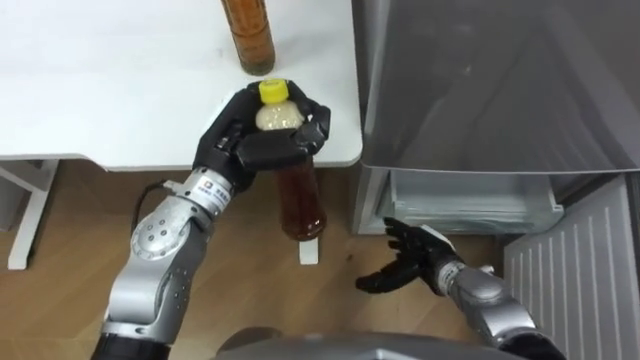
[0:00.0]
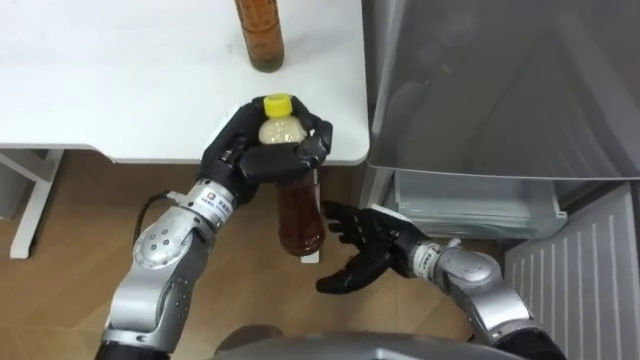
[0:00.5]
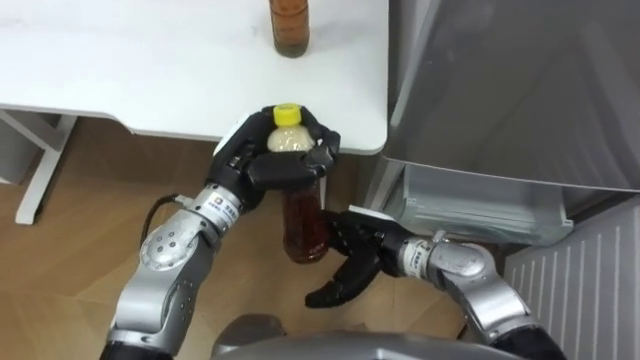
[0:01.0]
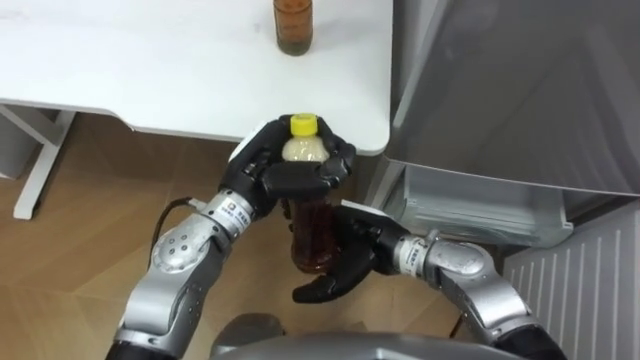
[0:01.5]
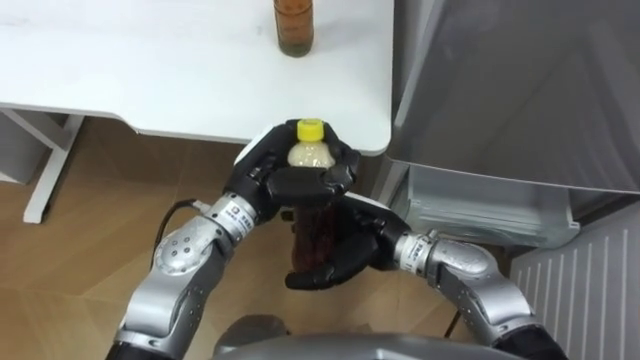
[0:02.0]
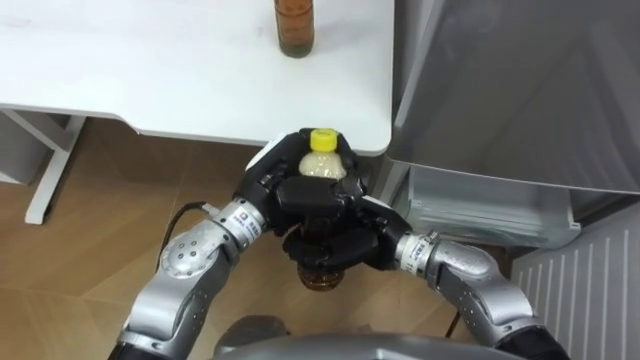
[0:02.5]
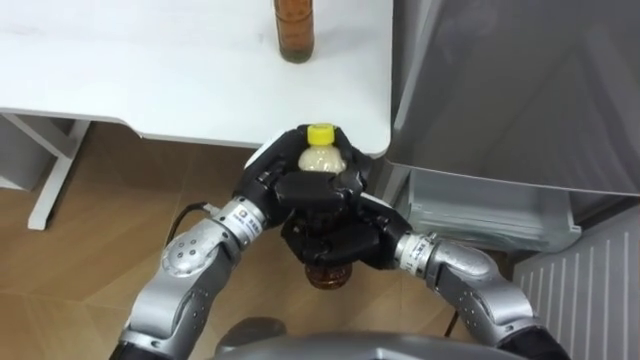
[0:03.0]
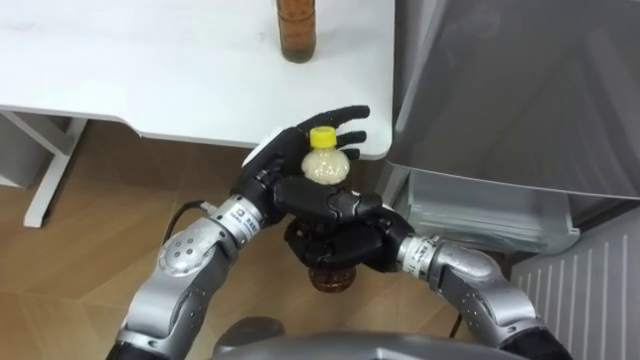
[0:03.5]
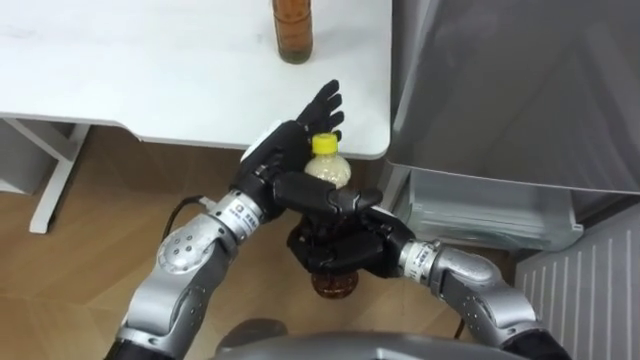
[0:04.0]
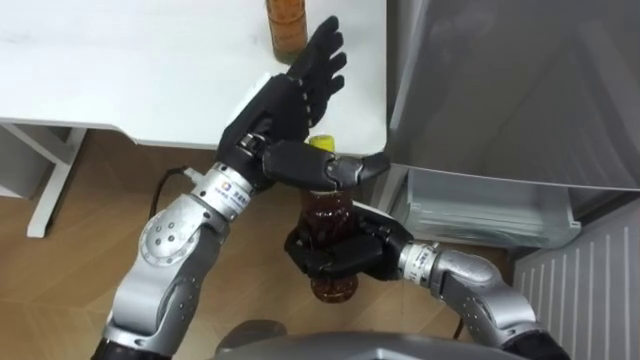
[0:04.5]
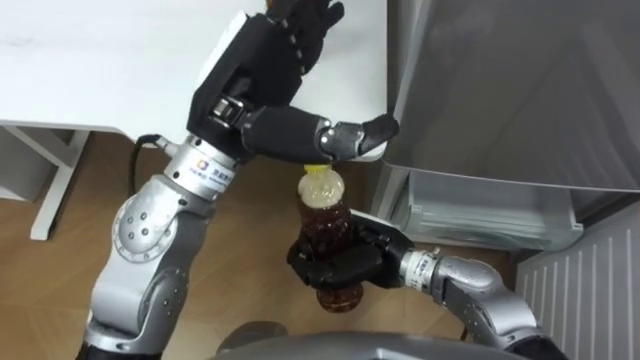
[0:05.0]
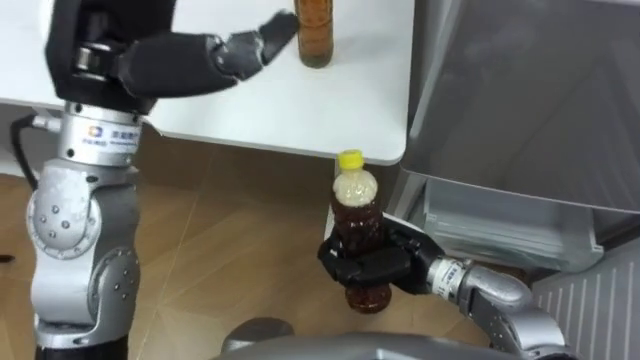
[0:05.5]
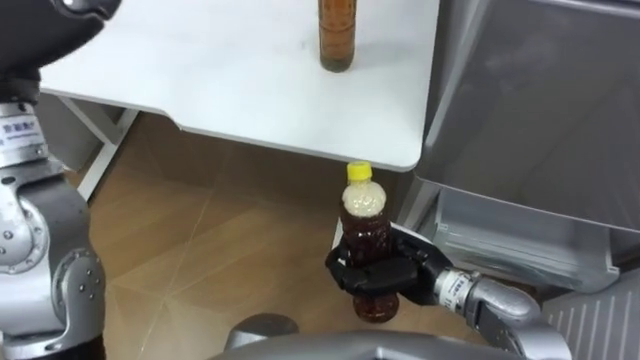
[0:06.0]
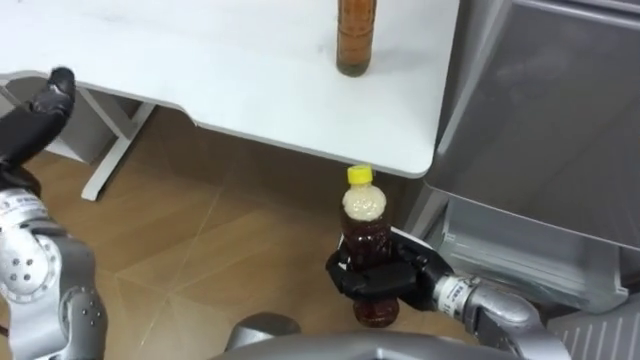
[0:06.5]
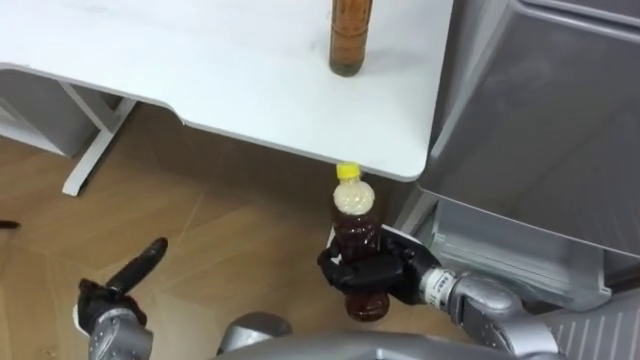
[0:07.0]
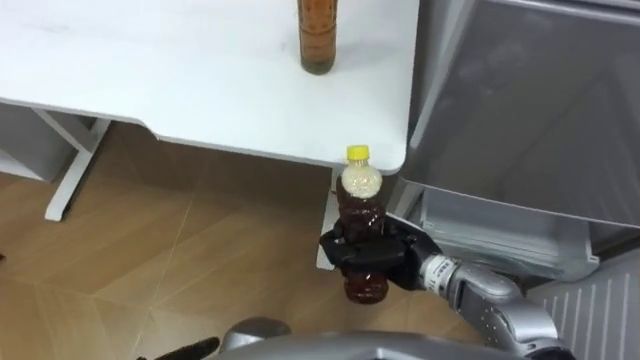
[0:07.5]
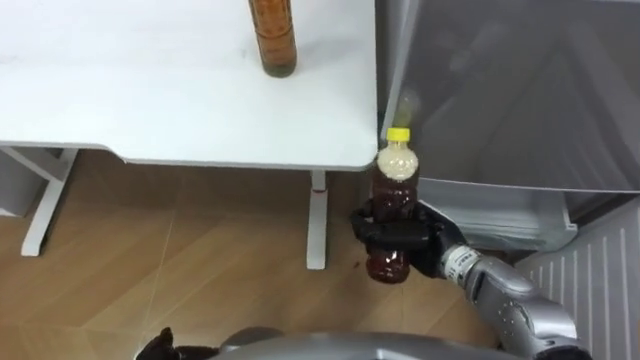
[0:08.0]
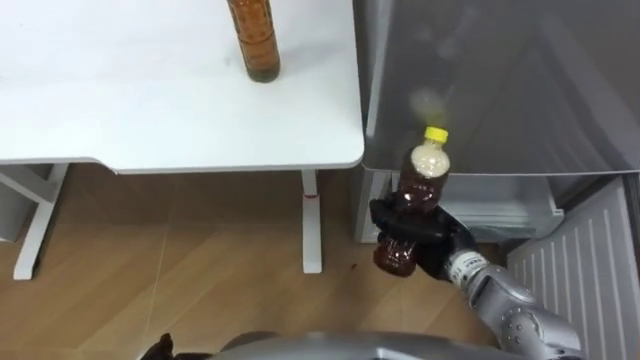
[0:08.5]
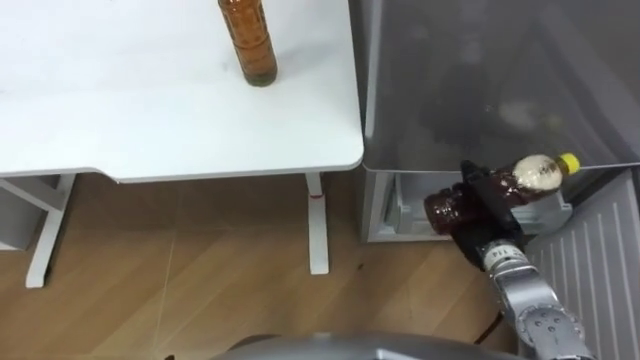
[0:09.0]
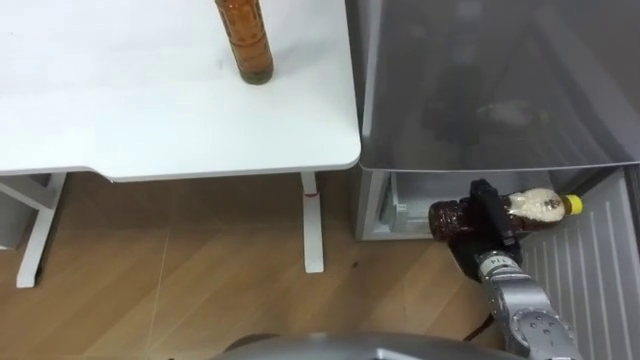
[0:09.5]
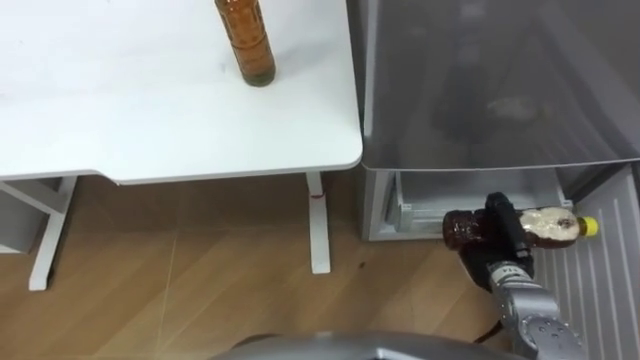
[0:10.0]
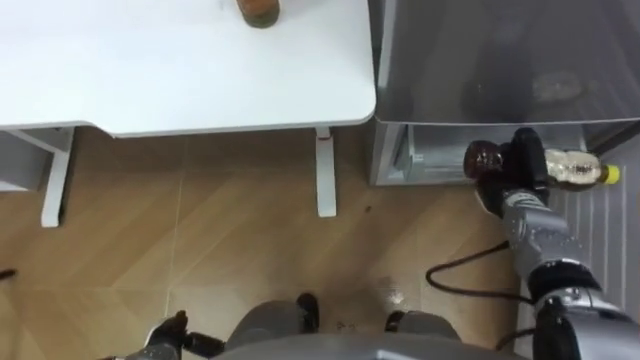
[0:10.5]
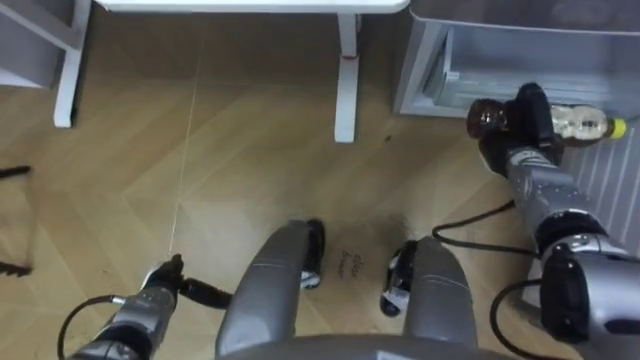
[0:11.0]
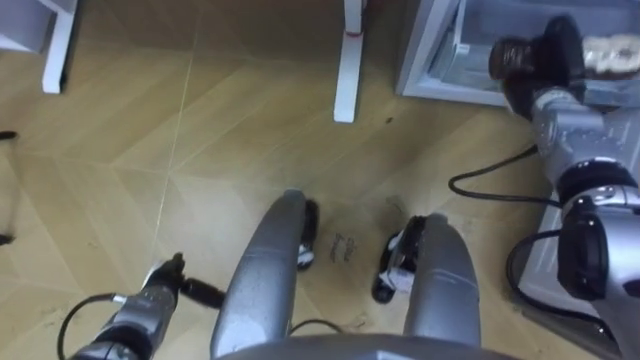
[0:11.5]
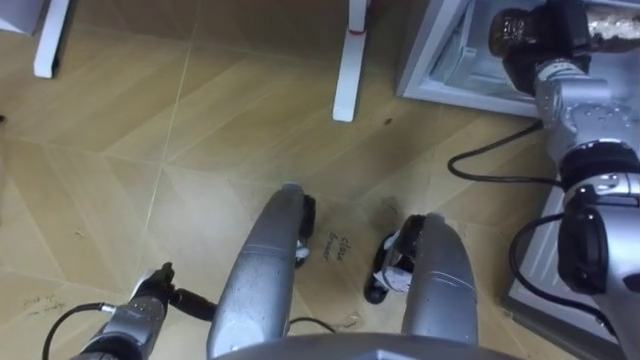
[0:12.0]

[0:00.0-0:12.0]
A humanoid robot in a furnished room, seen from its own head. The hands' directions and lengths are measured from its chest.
Task of the whole recording: Place the drink on the table on the bottom shelf of the refrigerator, then close the drawer and the refrigerator door.
0:00.0 to 0:02.0: The right hand moves to the left and upward, some 15 cm. The left hand shifts by some 5 cm.
0:02.0 to 0:04.0: The left hand opens up, while the right hand closes up.
0:04.0 to 0:06.0: The right hand is displaced to the right by approximately 5 cm.
0:08.0 to 0:10.0: The right hand travels to the right by approximately 10 cm.
0:10.0 to 0:12.0: The right hand is displaced forward and upward by roughly 30 cm.

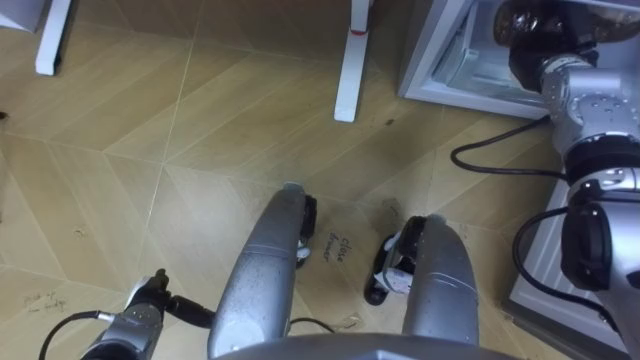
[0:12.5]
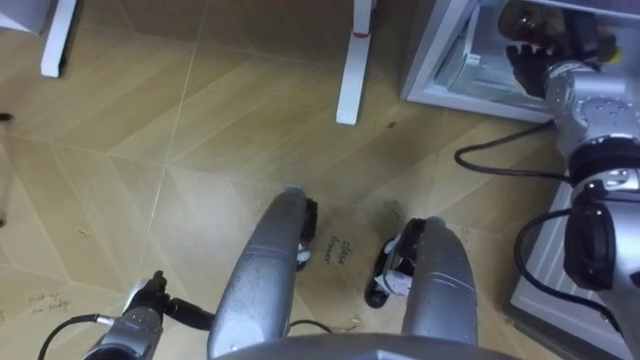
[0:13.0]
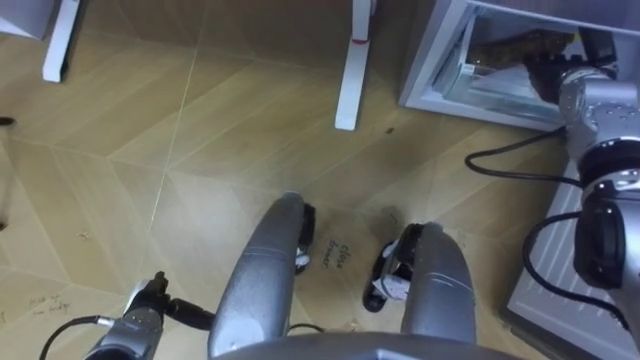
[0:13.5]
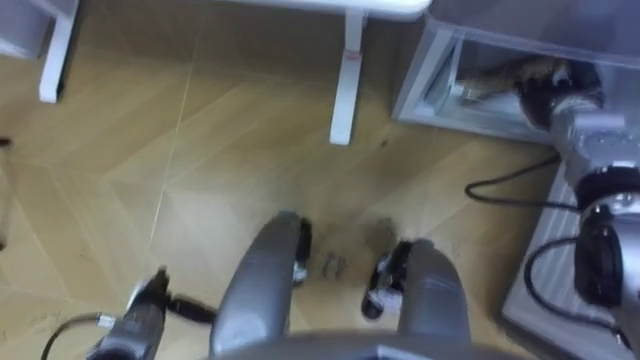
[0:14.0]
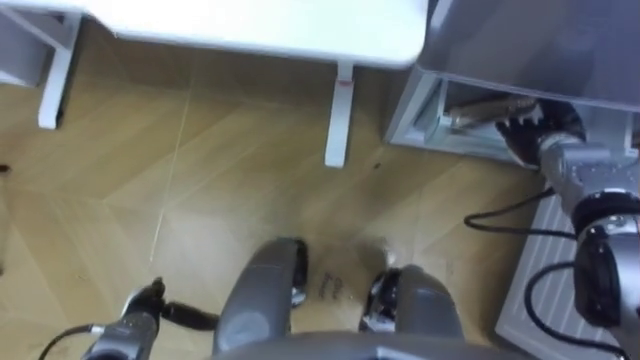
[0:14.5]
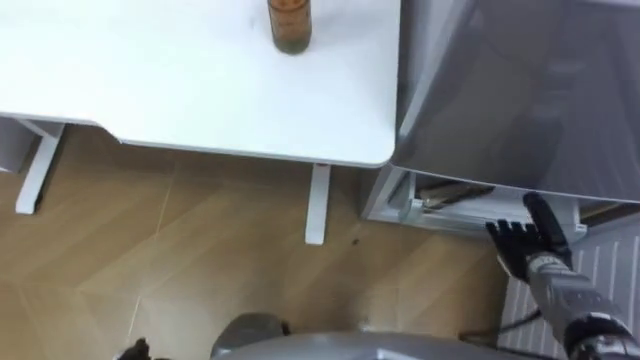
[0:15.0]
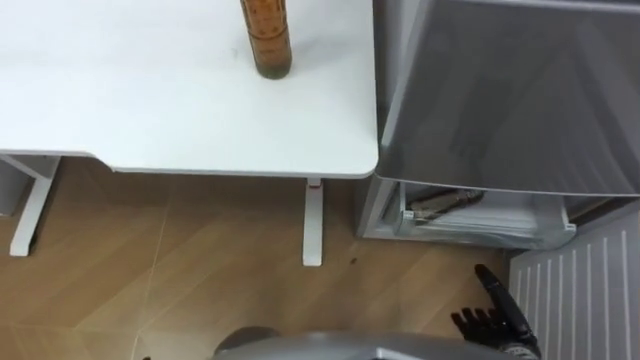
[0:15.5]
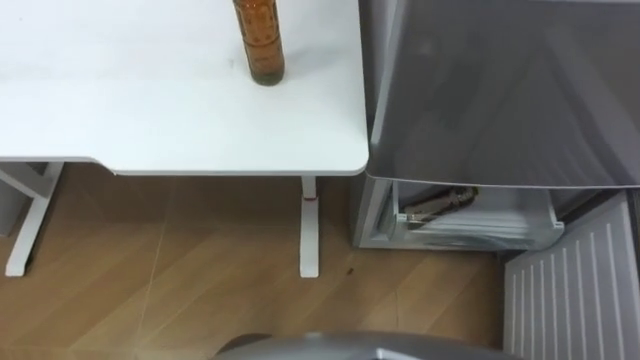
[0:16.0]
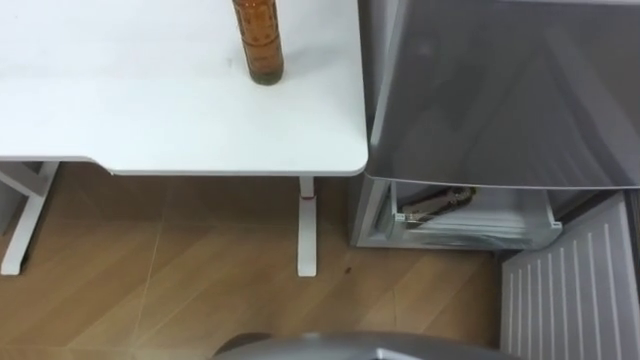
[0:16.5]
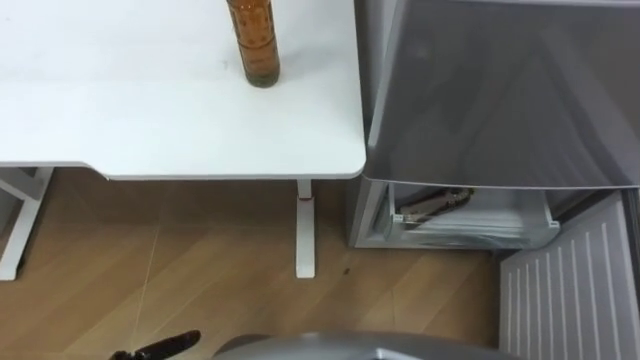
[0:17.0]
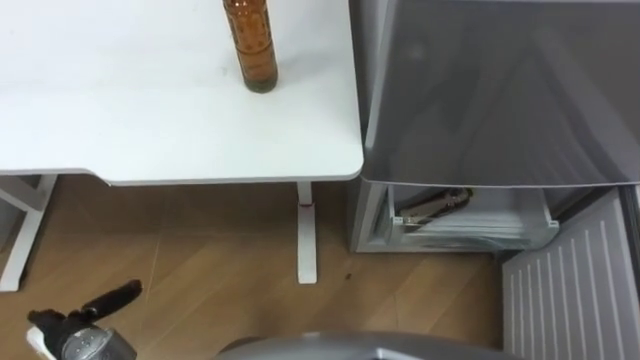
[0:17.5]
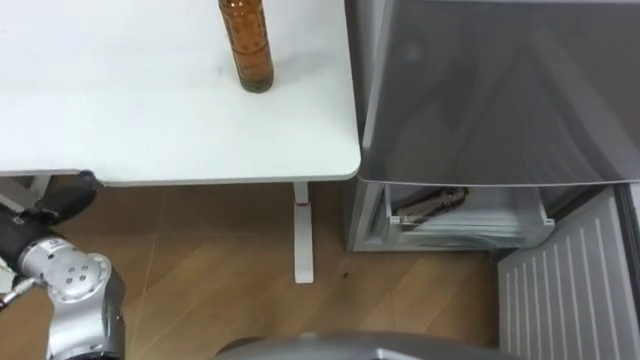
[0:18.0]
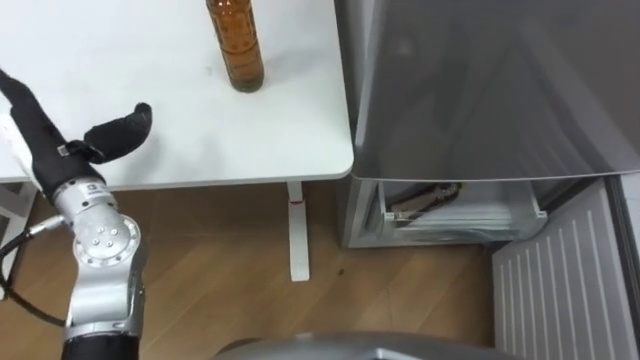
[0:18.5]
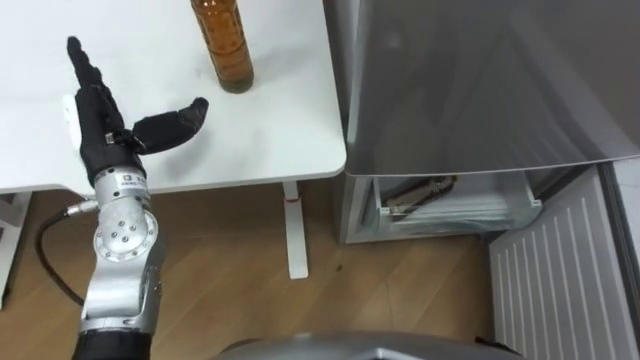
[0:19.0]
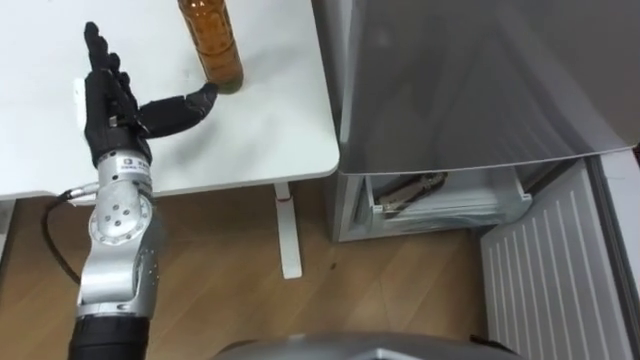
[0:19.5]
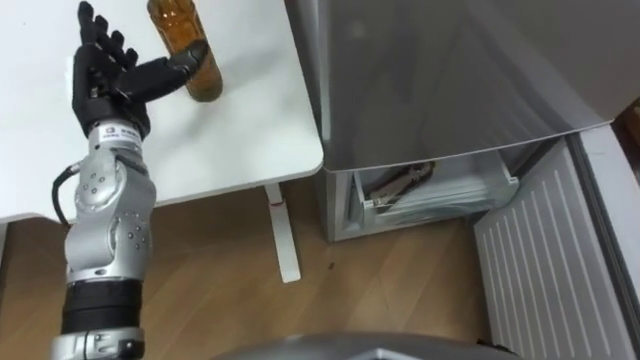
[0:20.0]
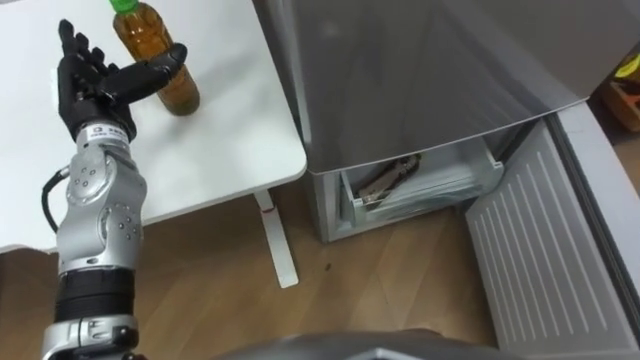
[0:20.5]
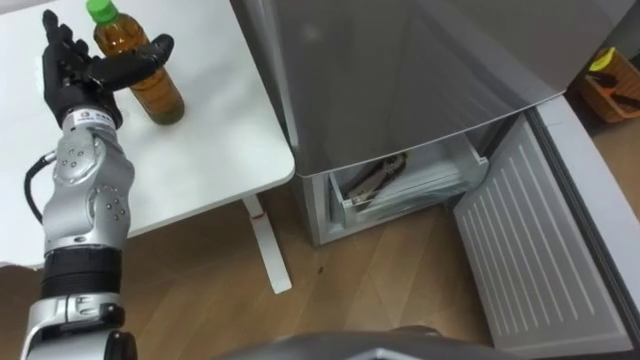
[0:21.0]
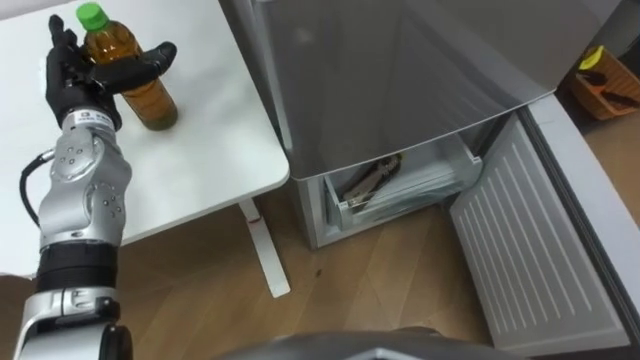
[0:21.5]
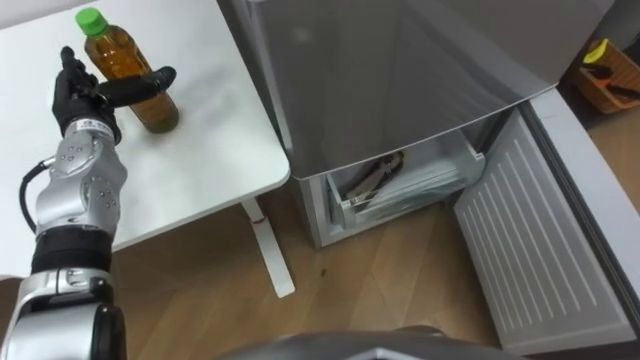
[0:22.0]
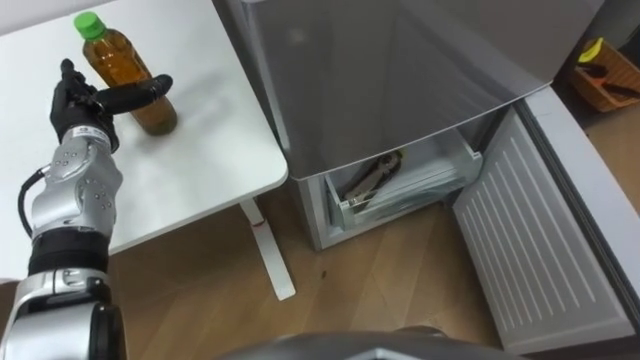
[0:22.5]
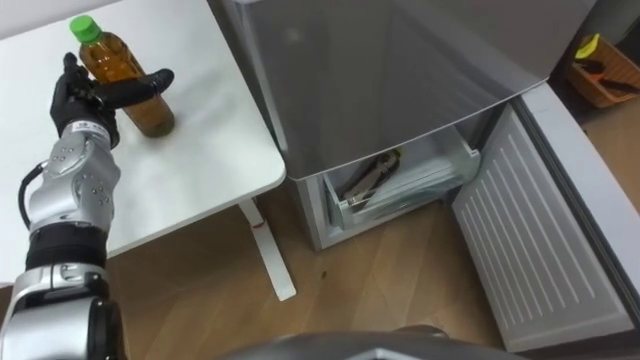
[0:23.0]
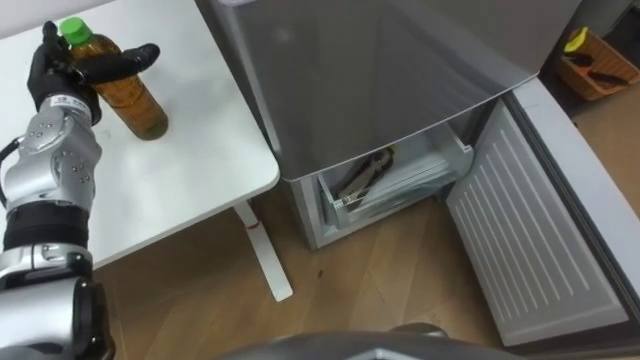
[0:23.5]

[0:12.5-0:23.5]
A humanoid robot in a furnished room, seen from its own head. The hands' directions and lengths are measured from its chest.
Task of the whole recording: Place the drink on the table on the bottom shelf of the refrigerator, then close the drawer and the refrigerator door.
0:12.5 to 0:14.5: The right hand travels downward and backward by approximately 10 cm, and opens.
0:18.0 to 0:20.0: The left hand travels forward, to the right and upward by some 20 cm.
